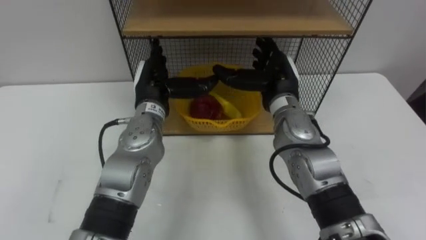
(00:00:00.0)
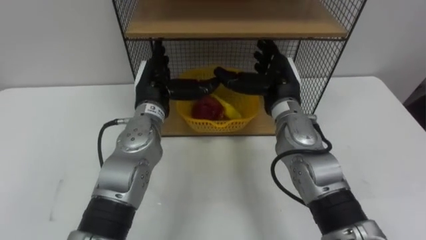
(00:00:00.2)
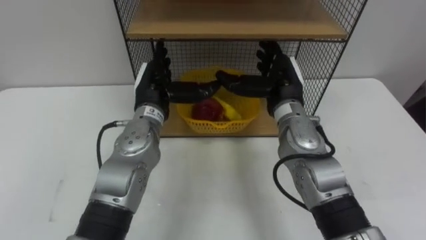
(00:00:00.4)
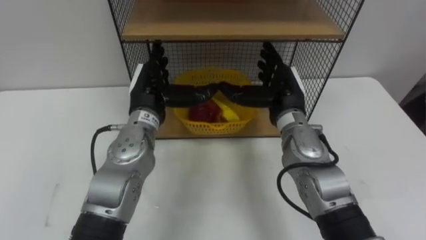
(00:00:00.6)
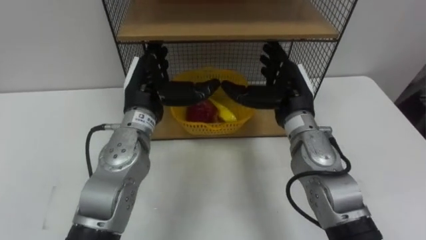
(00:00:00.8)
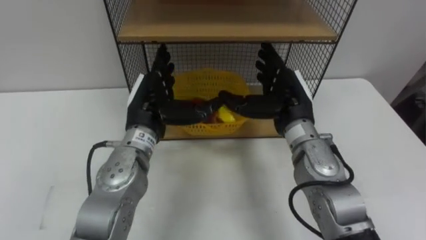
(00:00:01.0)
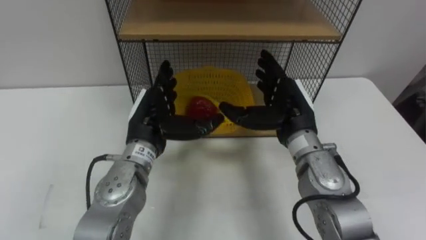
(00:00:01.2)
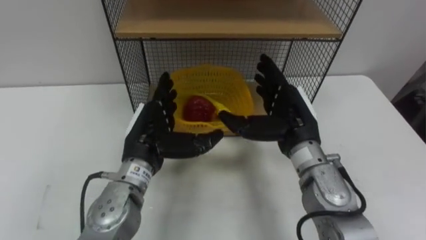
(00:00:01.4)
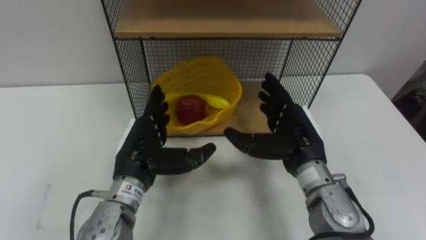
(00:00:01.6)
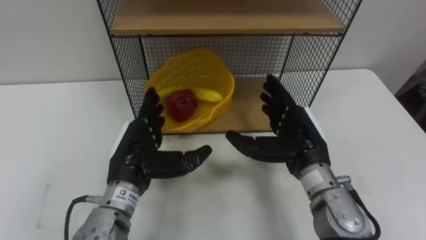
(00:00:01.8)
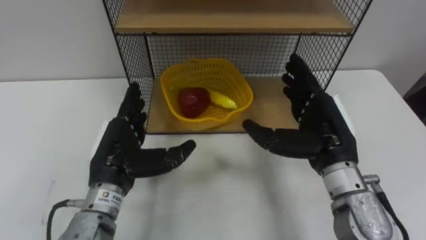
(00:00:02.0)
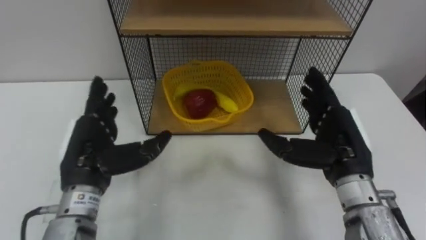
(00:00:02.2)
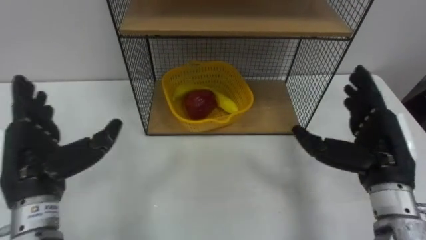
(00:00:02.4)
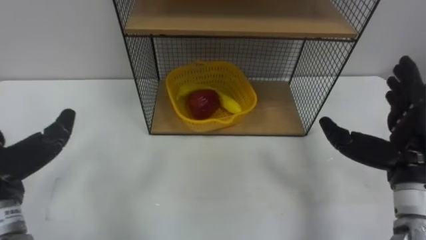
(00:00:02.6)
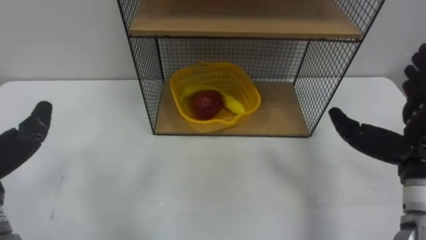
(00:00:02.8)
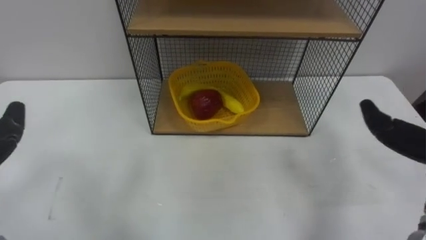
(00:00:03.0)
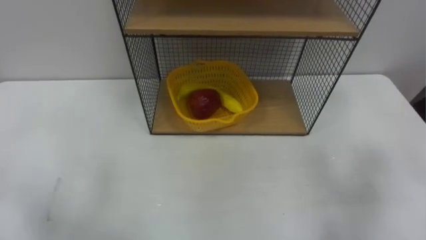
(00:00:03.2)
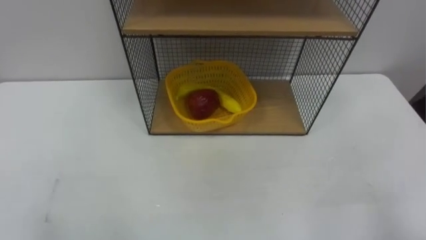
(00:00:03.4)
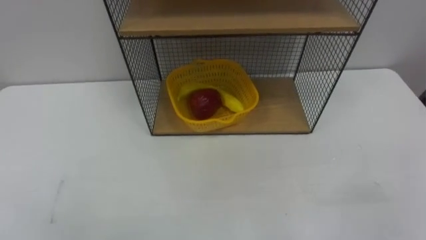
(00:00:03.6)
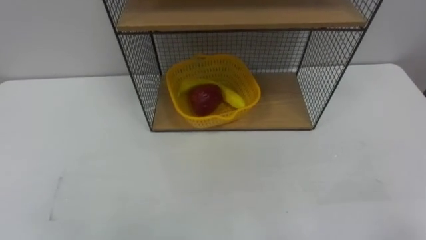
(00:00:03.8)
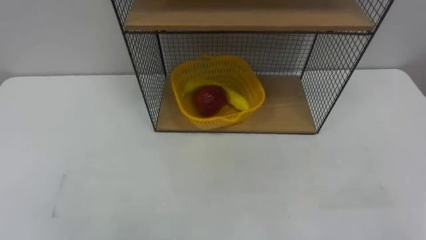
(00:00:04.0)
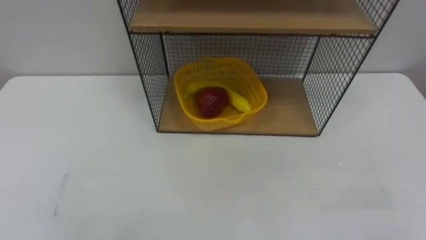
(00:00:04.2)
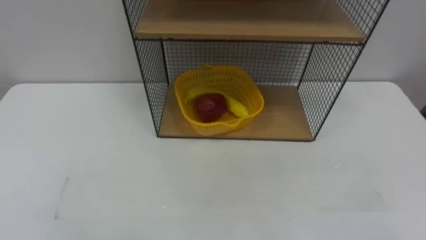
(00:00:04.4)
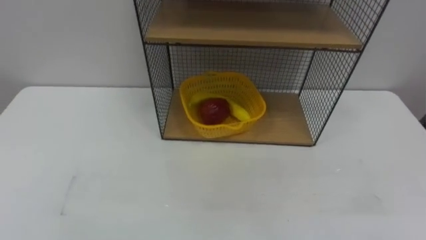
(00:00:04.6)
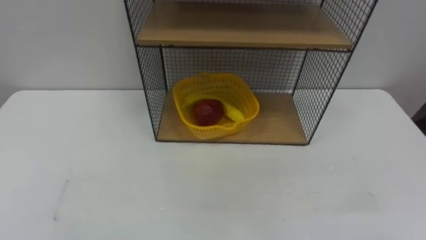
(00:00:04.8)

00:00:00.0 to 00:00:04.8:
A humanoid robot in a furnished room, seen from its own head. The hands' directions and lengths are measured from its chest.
Task of the whole recording: Put the fruit on the table into the basket, then place the basket on the shelf.
00:00:00.0 to 00:00:01.6: Both hands travel together backward, about 10 cm.

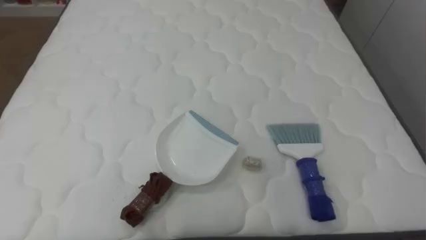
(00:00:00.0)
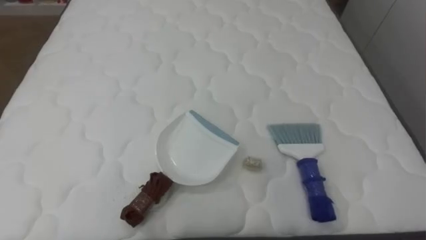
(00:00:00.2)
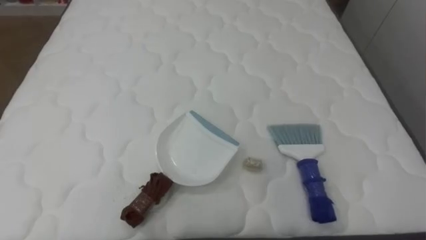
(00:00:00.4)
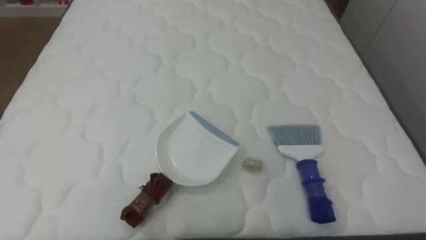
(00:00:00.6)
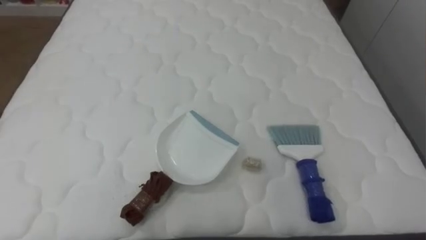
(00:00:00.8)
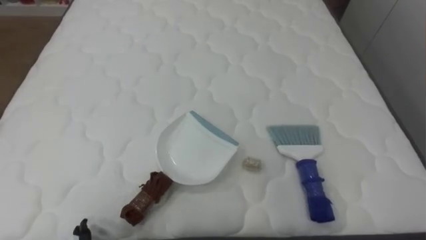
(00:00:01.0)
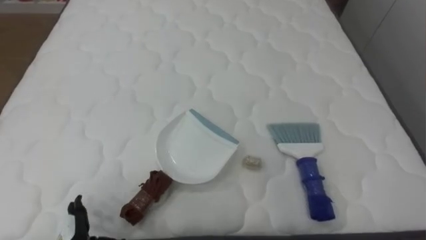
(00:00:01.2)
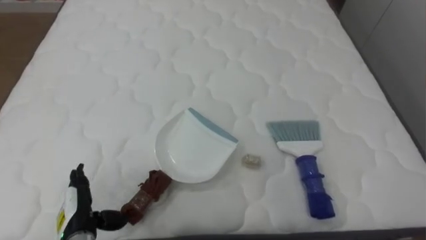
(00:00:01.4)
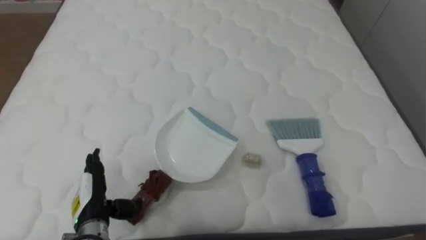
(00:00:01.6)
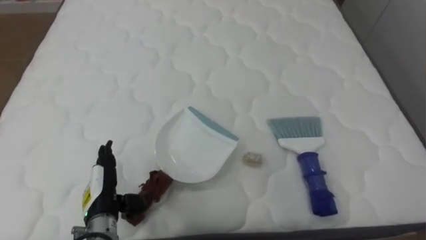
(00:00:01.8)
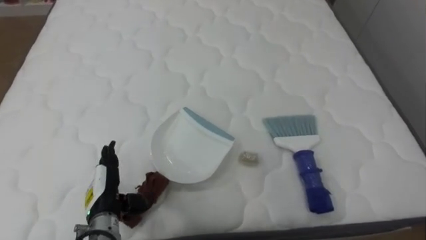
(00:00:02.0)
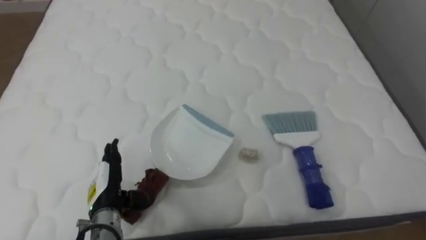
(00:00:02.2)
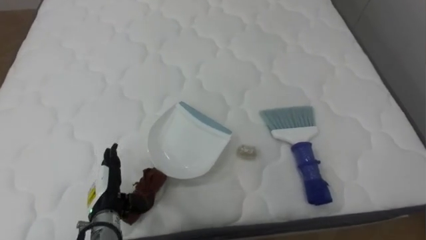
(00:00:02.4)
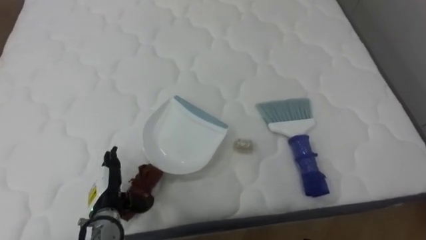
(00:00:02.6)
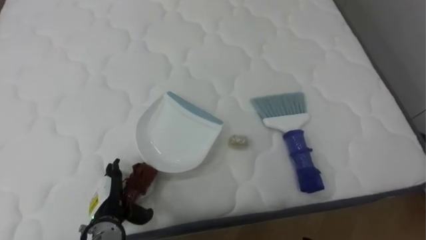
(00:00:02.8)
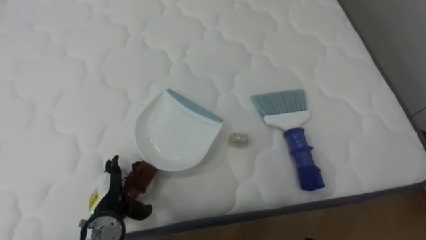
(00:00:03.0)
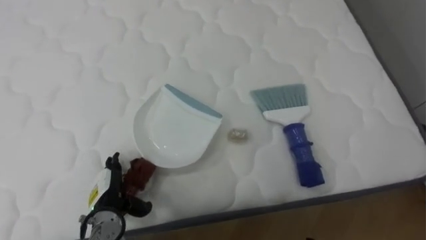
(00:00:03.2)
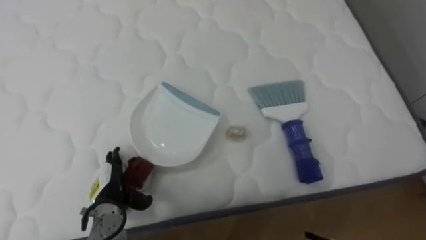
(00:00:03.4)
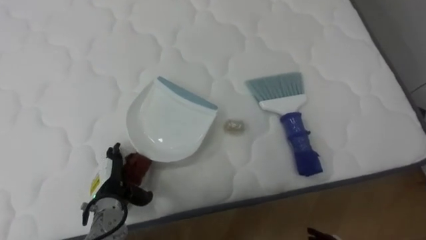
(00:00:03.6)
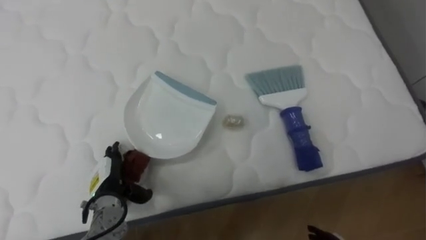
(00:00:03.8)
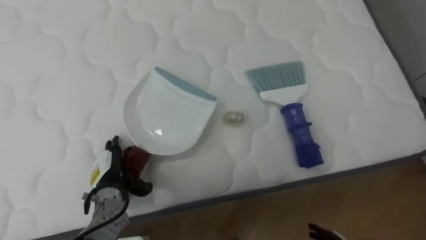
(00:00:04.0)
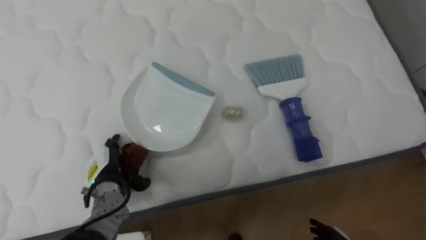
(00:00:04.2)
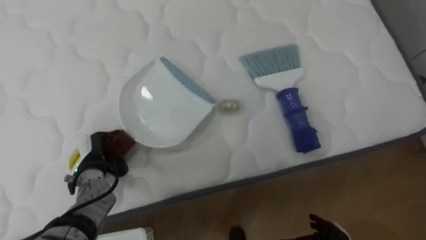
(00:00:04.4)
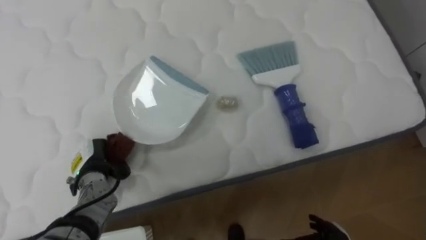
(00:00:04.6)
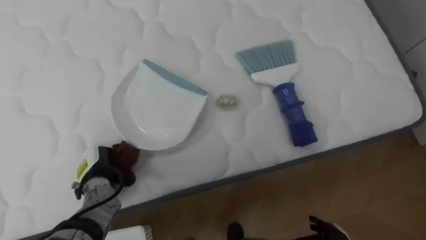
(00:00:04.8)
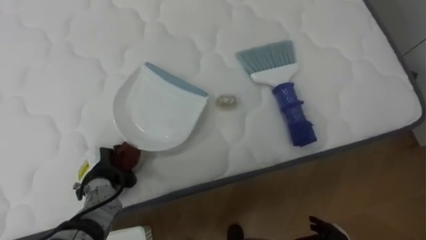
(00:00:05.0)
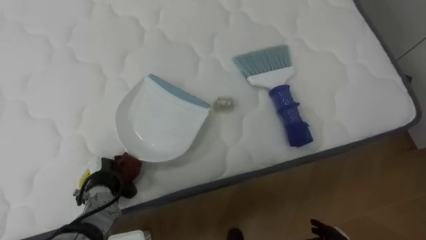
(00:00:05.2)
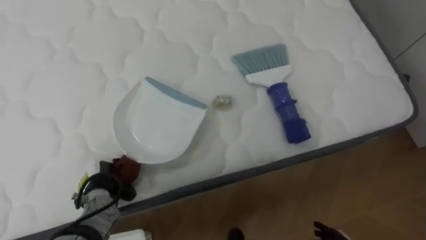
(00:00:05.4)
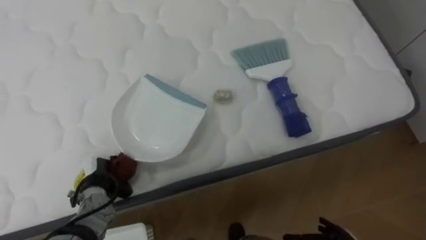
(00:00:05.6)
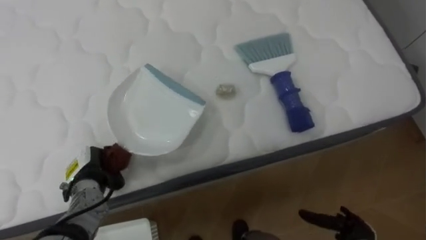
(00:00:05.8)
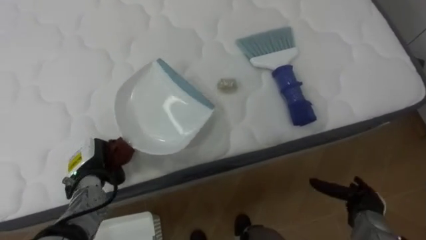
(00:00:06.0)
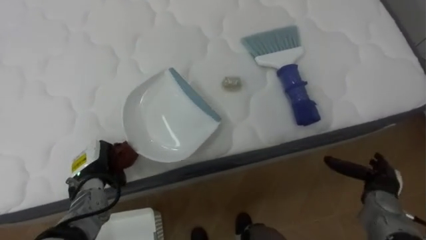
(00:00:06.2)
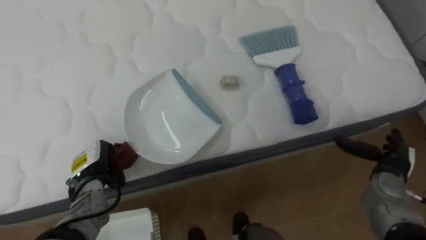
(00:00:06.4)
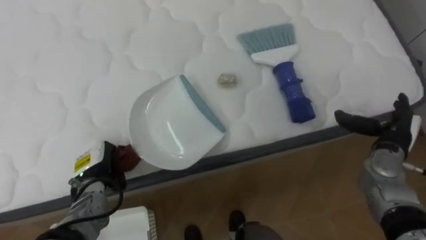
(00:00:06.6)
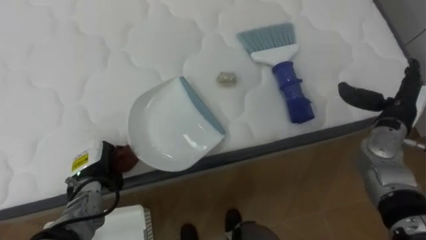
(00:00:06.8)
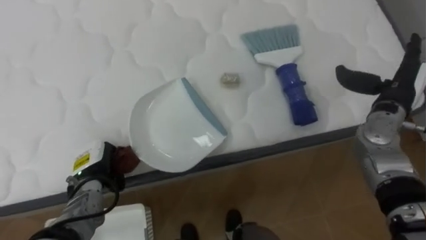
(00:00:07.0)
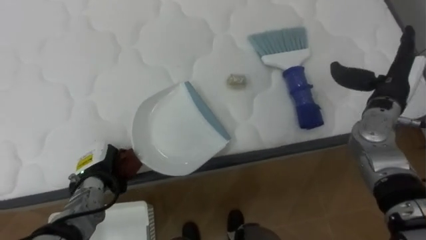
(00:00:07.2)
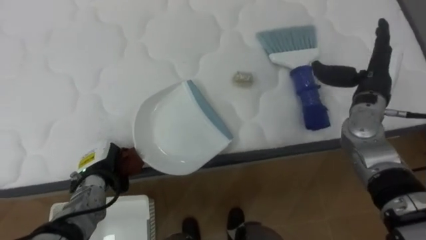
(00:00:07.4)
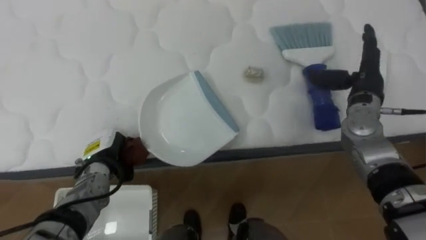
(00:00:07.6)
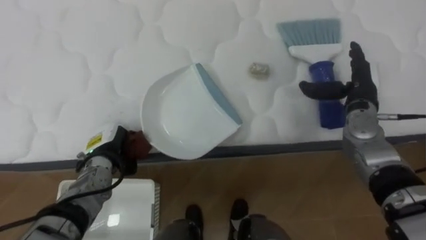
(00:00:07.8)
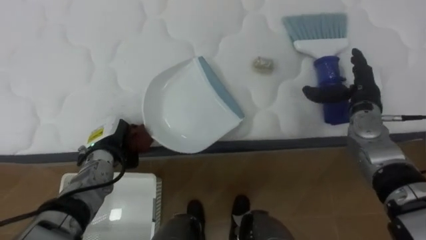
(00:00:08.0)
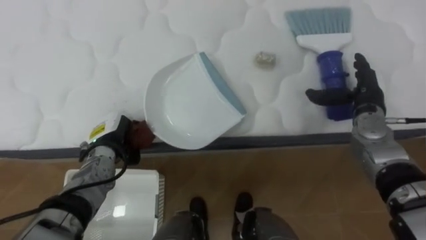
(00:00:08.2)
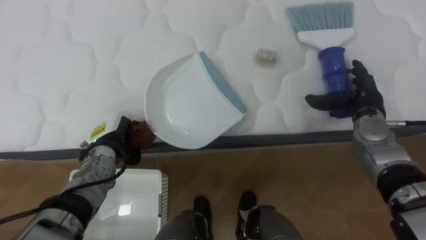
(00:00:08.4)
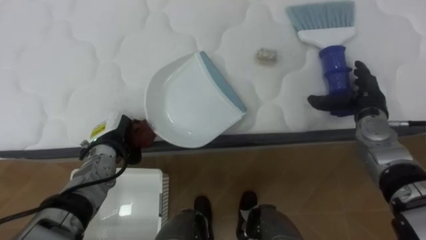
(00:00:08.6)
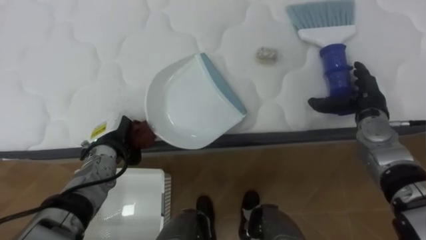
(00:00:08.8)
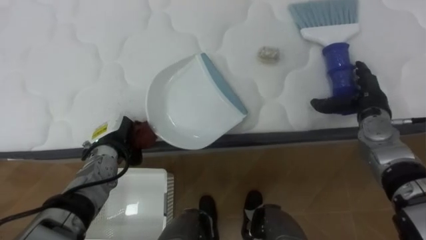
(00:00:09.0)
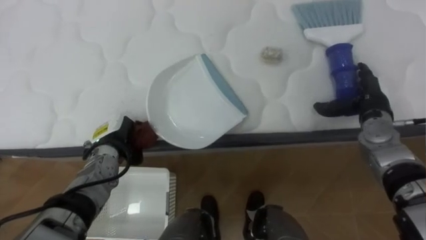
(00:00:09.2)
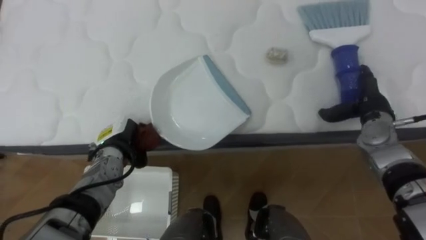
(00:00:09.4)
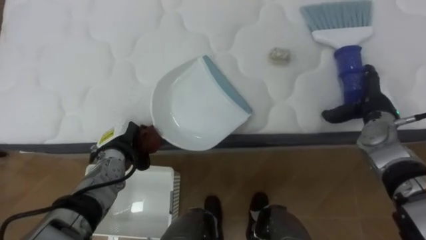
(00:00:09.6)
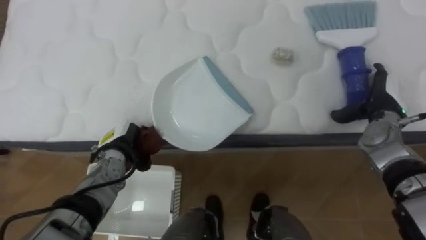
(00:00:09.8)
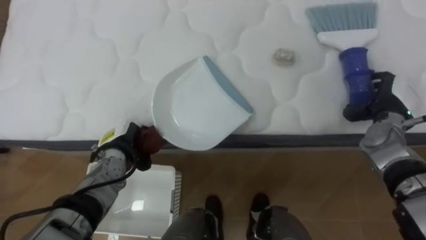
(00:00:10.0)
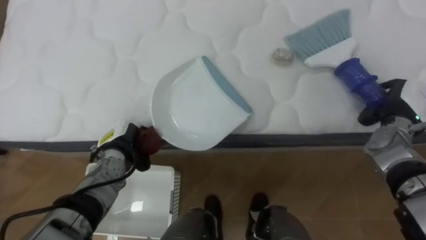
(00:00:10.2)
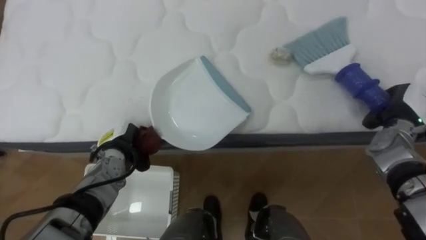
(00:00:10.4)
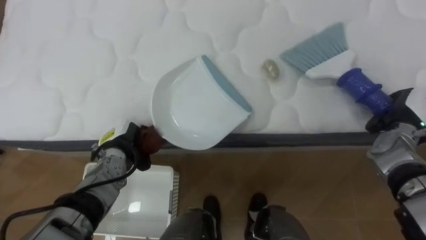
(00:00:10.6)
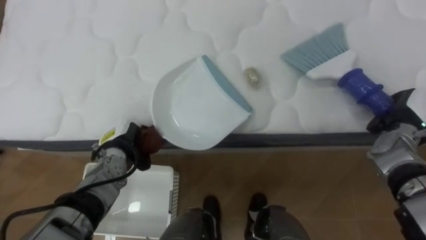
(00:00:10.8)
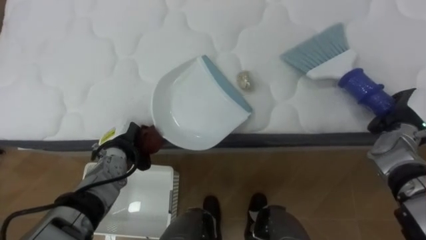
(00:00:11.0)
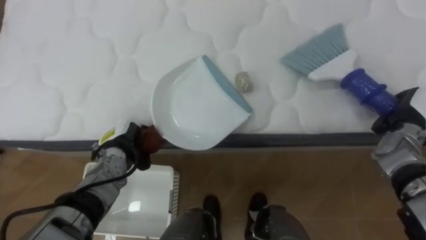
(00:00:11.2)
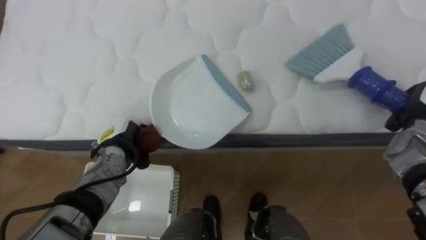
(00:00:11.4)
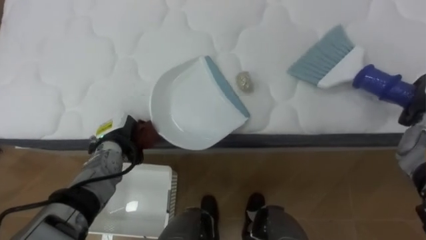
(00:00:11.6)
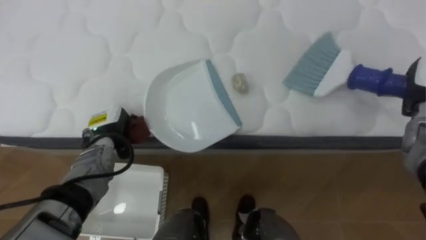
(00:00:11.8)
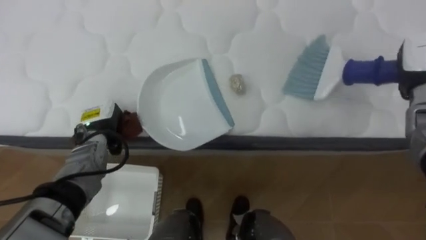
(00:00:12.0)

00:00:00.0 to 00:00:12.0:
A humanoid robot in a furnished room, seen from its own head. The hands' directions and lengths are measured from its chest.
Task of the whole recording: Pick up the brush on your right and the dustpan on your left. Use the brush to sweep the crumpled paper on the bed into the dustpan, then turn left and empty it into the basket.
00:00:03.0 to 00:00:04.4: The left hand heads forward, covering approximately 5 cm.
00:00:04.4 to 00:00:06.0: The left hand closes up.
00:00:06.0 to 00:00:07.6: The right hand travels upward and forward by approximately 30 cm.
00:00:07.6 to 00:00:09.0: The right hand is displaced downward by roughly 5 cm.
00:00:09.0 to 00:00:10.4: The right hand is displaced to the right by roughly 5 cm, and closes its fingers.
00:00:10.4 to 00:00:12.0: The left hand changes place by about 5 cm.
